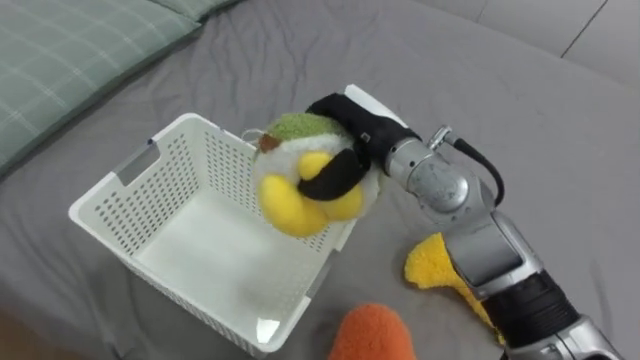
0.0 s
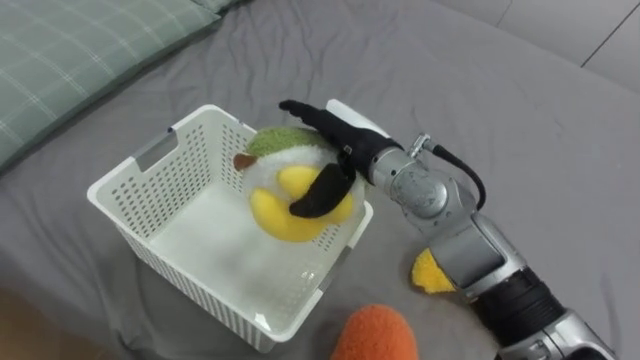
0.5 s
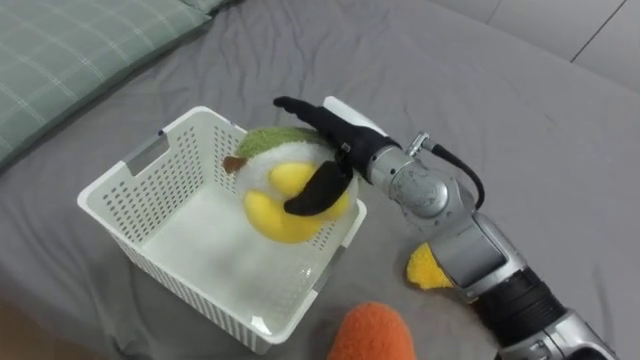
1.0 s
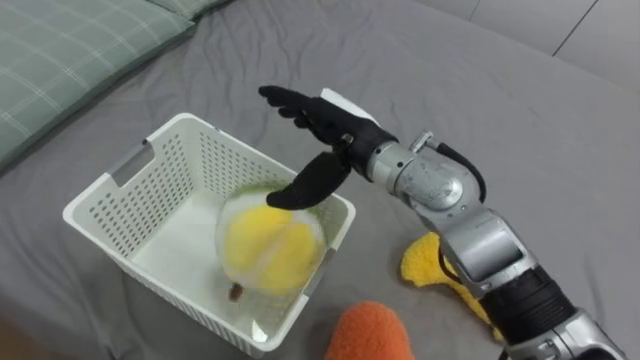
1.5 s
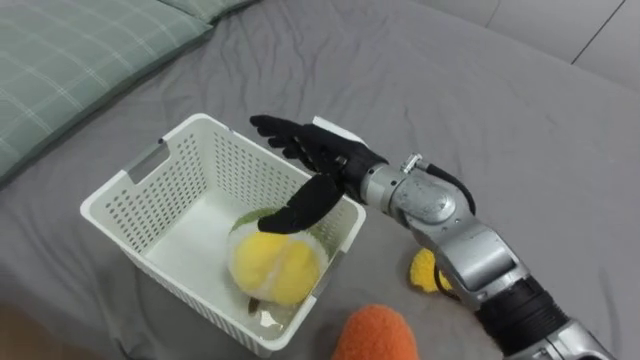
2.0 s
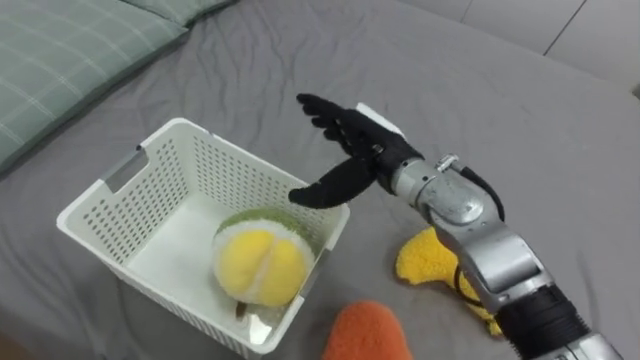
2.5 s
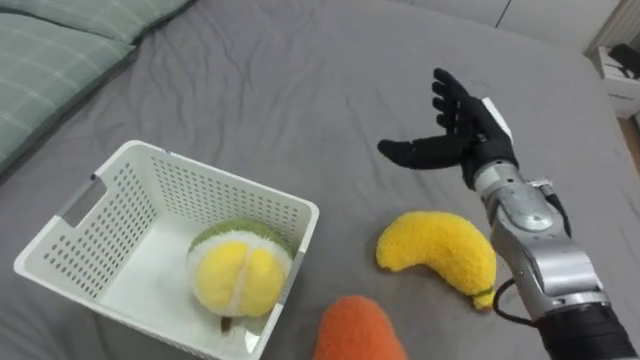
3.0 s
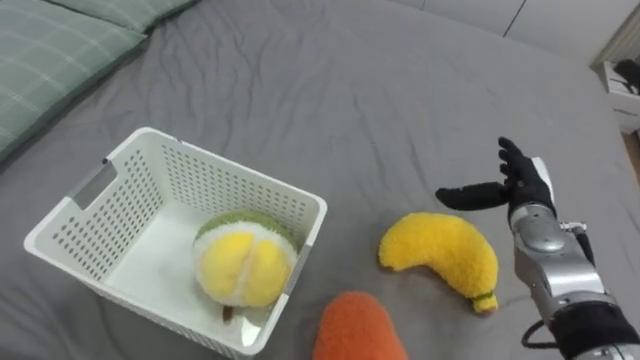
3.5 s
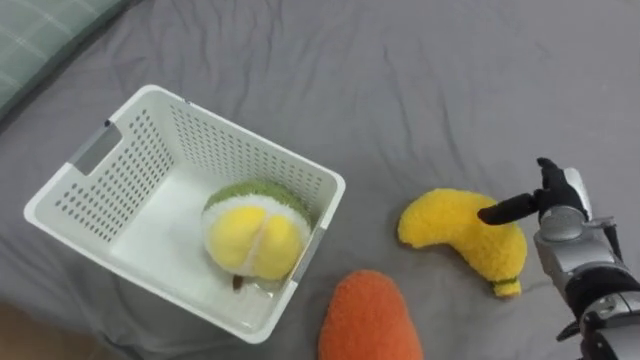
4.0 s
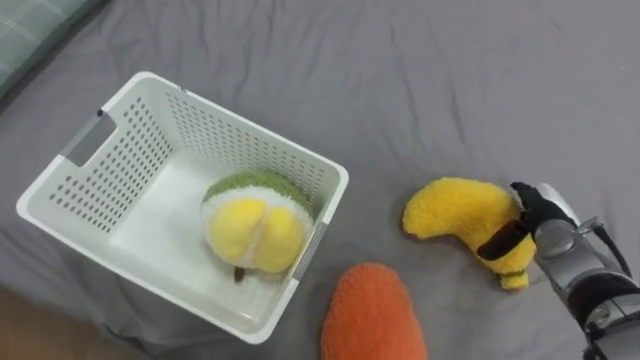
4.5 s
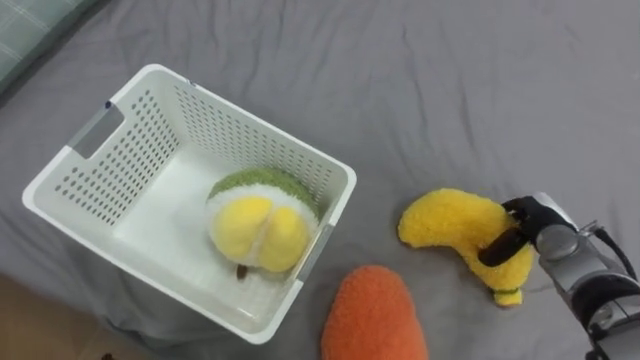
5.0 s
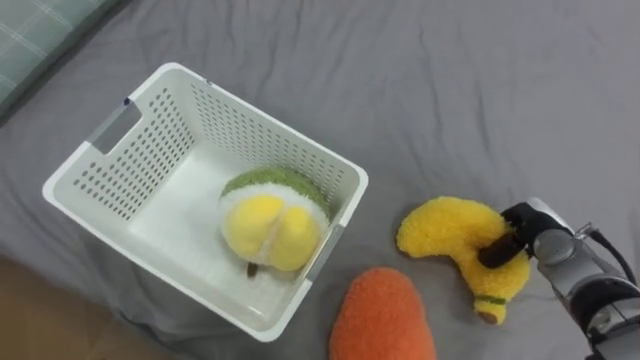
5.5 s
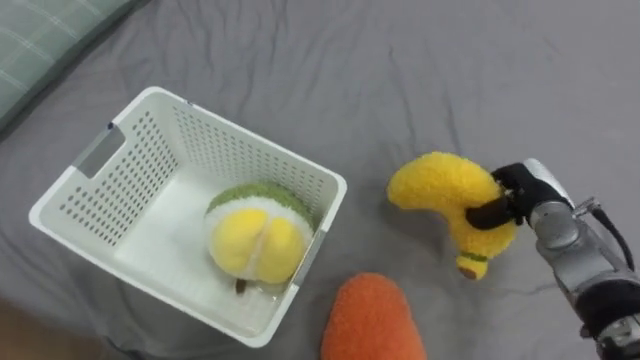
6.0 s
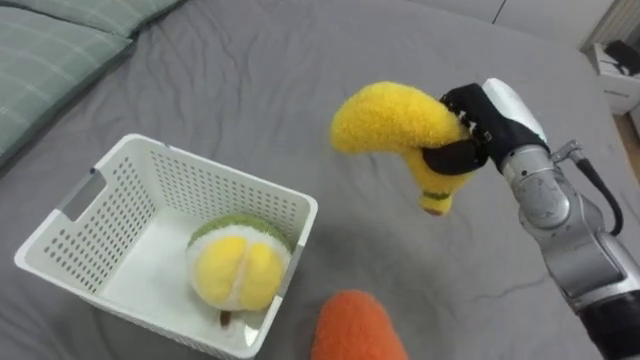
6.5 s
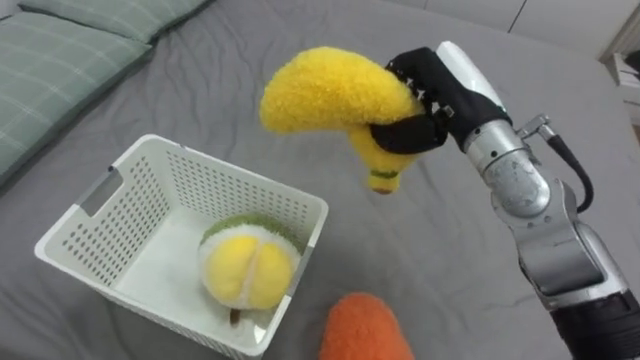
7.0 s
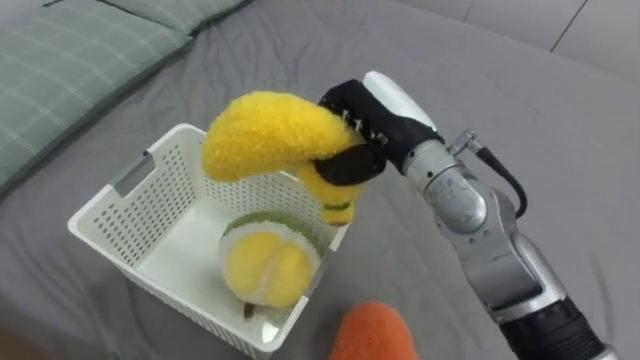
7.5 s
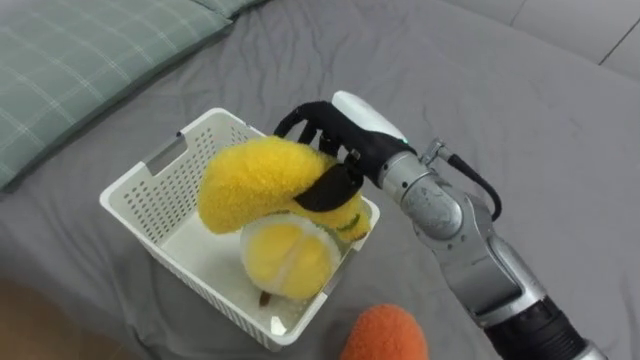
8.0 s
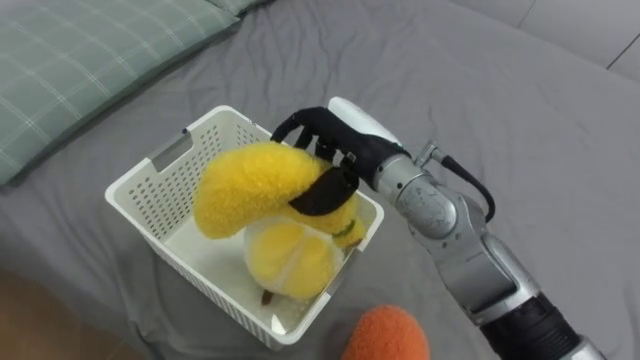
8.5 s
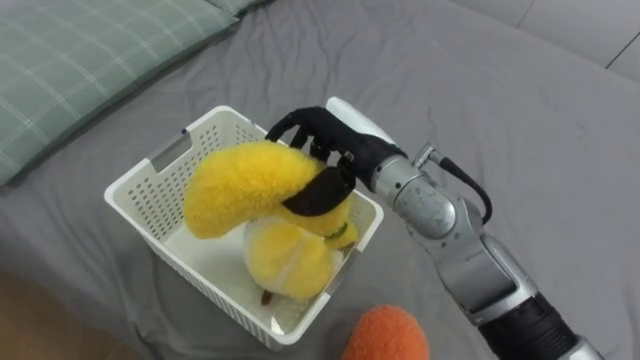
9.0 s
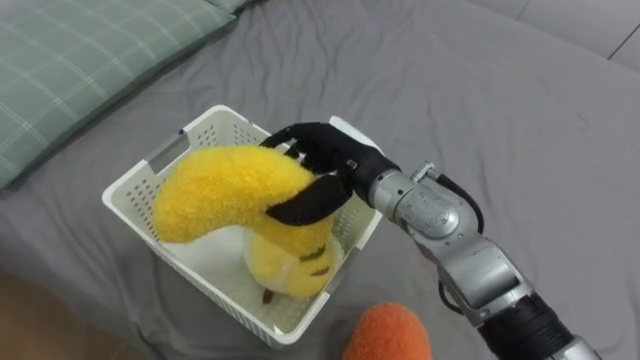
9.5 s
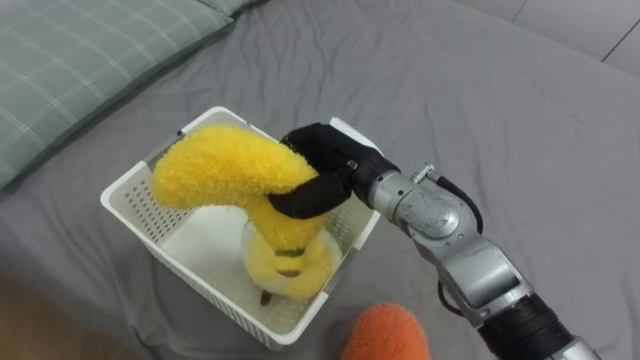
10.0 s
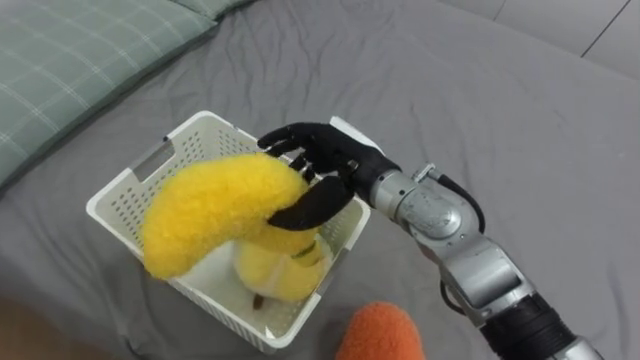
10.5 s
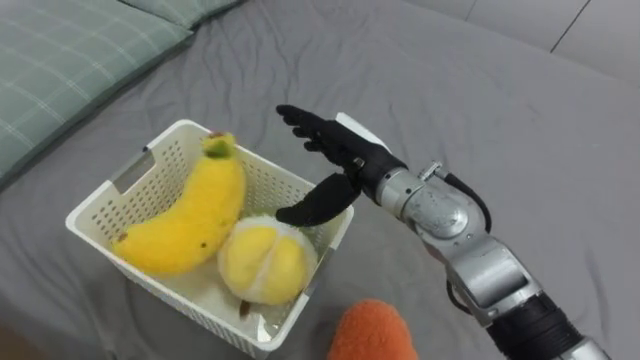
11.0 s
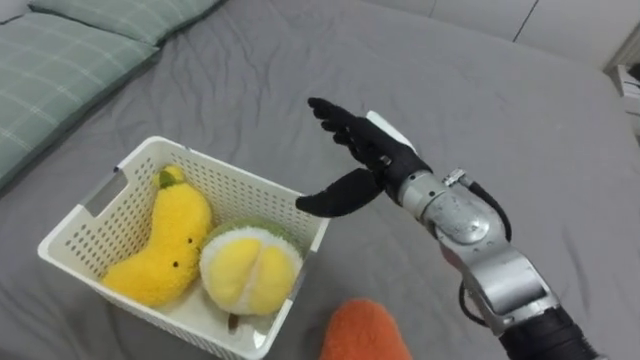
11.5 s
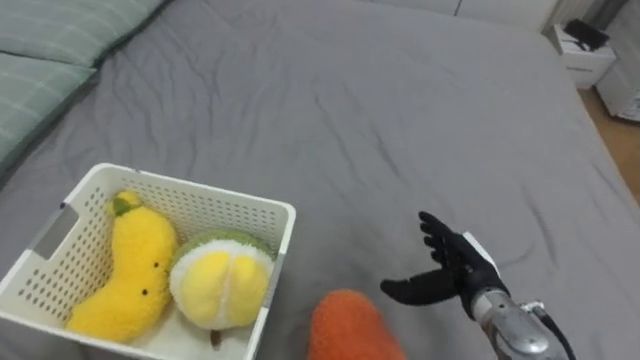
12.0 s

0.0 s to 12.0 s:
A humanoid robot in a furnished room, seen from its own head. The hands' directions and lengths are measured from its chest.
Task of the whole recording: Put the toys on the bed into the basket on the left.
0.0 to 2.0 s: The right hand moves roughly 5 cm, and opens up.
2.0 to 4.0 s: The right hand heads to the right, covering about 30 cm.
4.0 to 6.0 s: The right hand closes its fingers.
6.0 to 8.0 s: The right hand travels to the left and upward by roughly 30 cm.
10.0 to 12.0 s: The right hand travels to the right, downward and backward by some 25 cm, and opens its fingers.

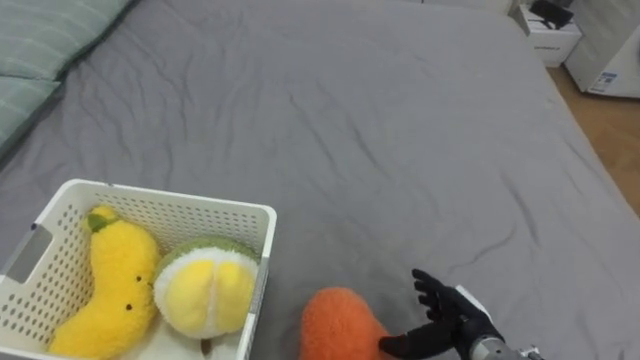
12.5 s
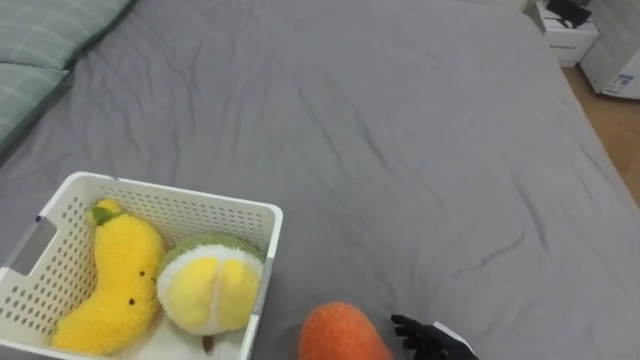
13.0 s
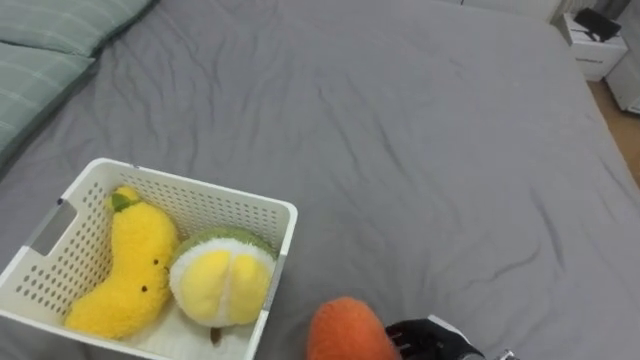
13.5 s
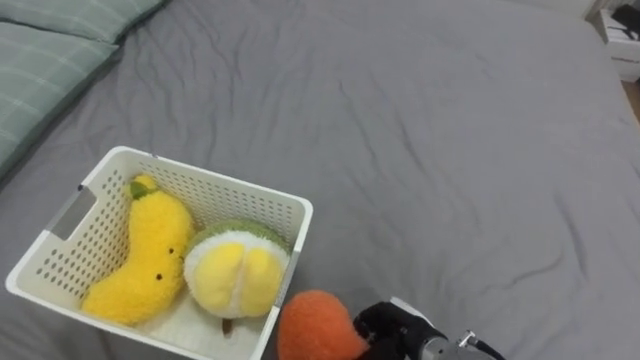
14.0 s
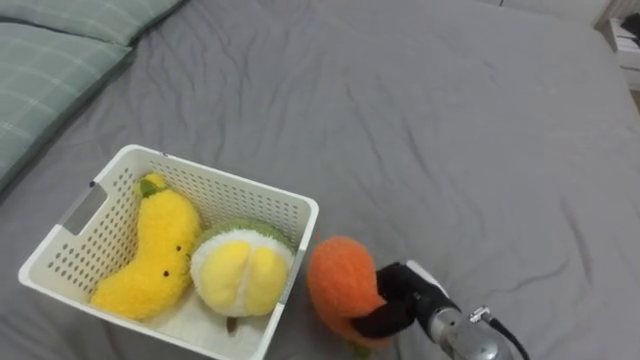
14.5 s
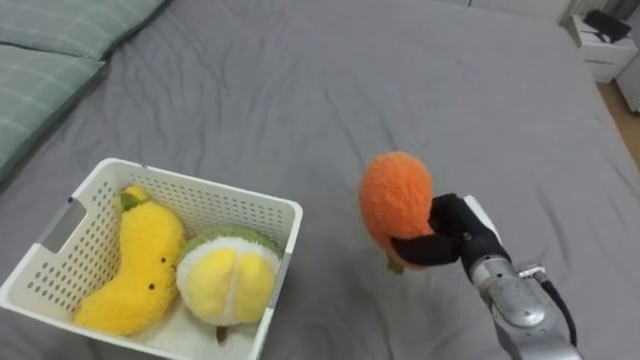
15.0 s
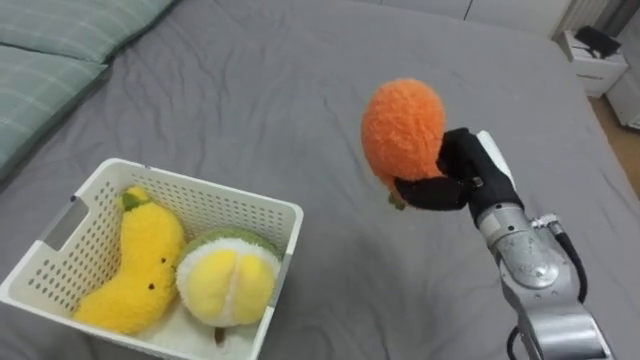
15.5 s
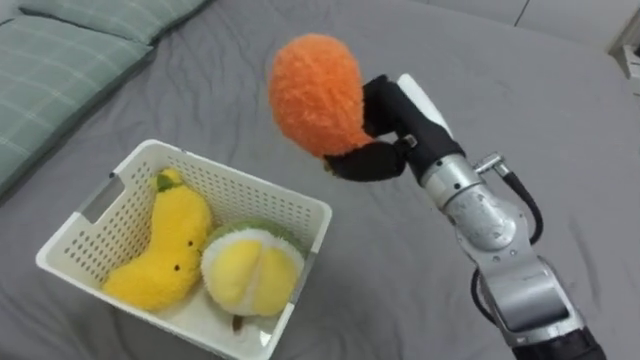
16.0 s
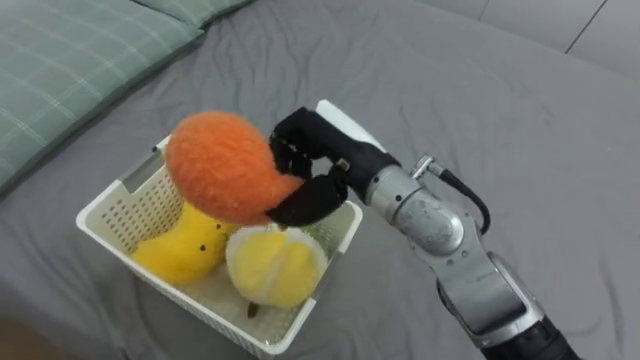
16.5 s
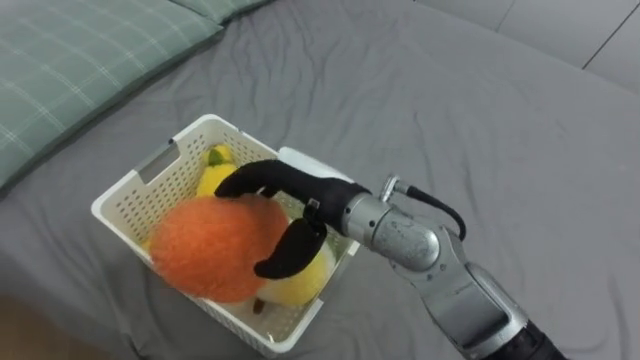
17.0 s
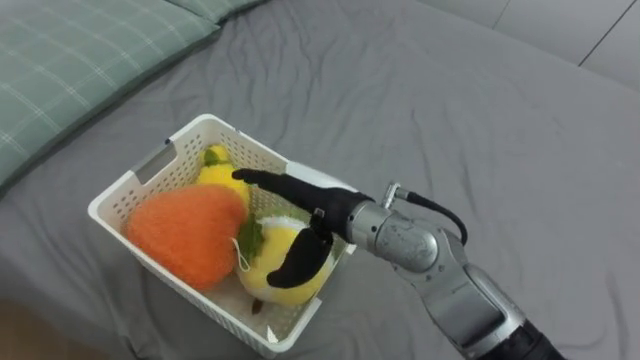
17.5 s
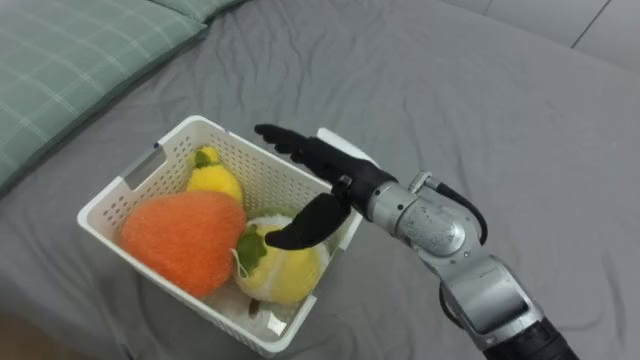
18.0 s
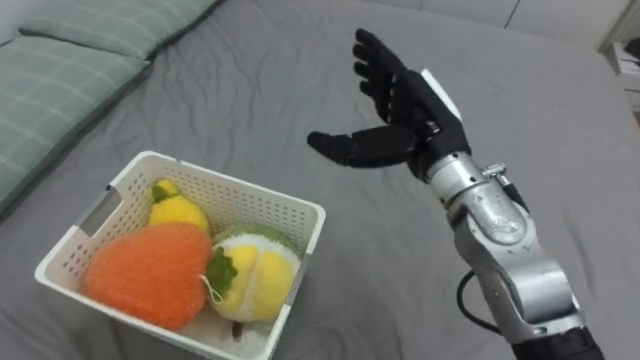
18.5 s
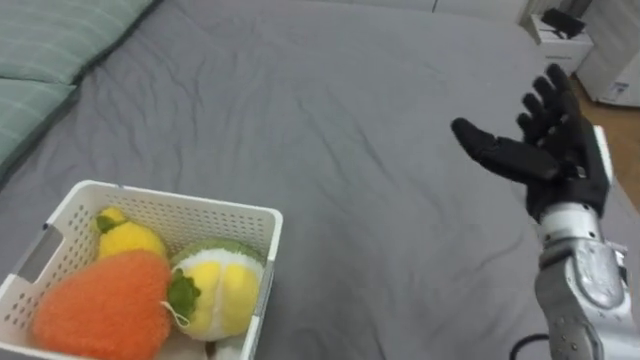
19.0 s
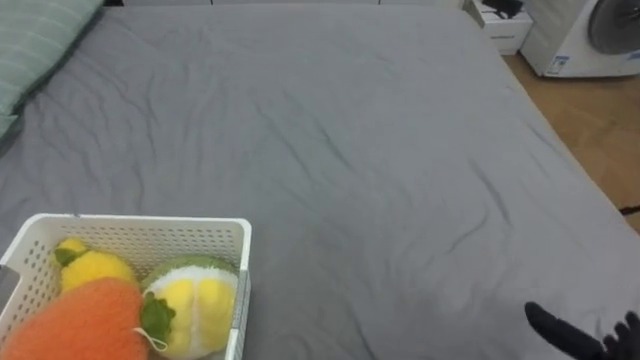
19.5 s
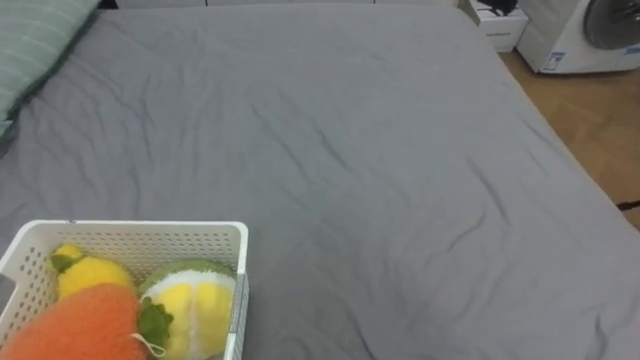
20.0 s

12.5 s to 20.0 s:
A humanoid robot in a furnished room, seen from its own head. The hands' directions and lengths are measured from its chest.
Task of the whole recording: Put the toys on the bed into the basket on the left.
12.5 to 14.5 s: The right hand shifts about 5 cm to the left, and closes up.
14.5 to 16.5 s: The right hand heads upward and to the left, covering about 25 cm.
16.5 to 18.0 s: The right hand opens its fingers.
